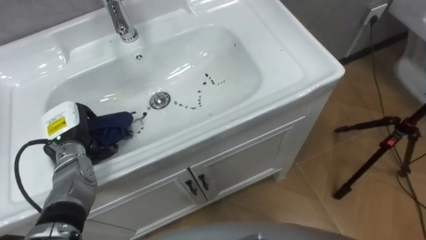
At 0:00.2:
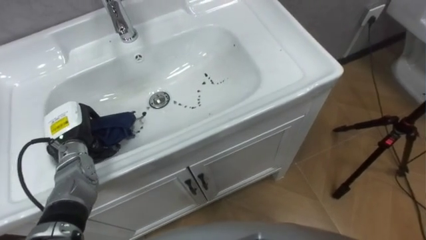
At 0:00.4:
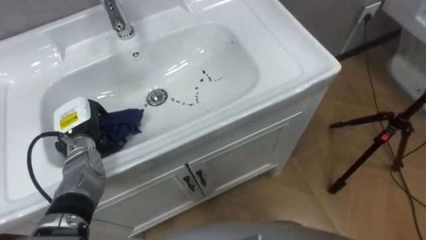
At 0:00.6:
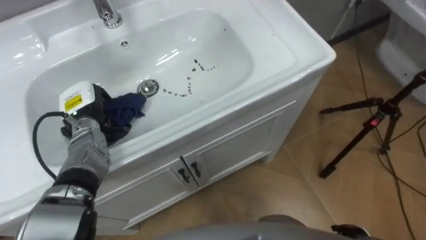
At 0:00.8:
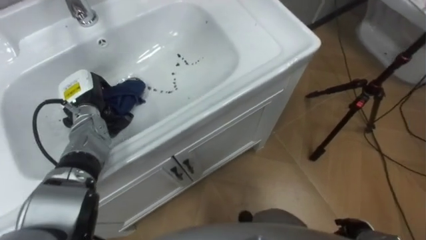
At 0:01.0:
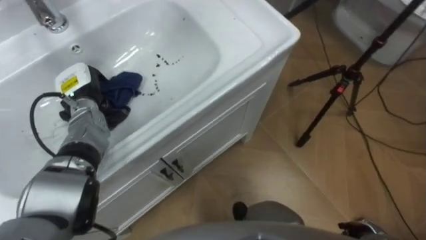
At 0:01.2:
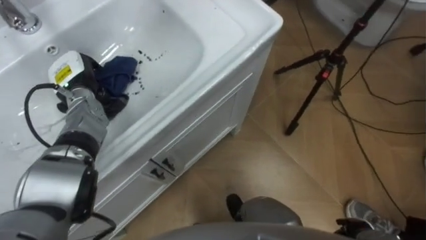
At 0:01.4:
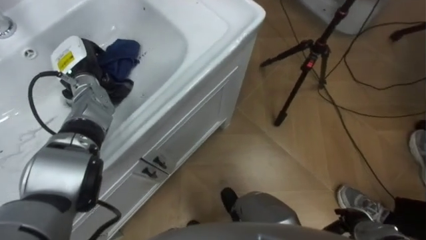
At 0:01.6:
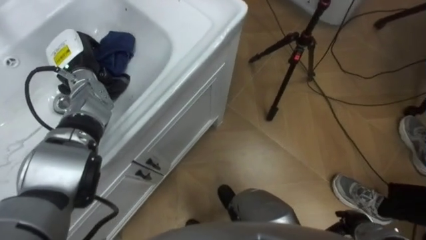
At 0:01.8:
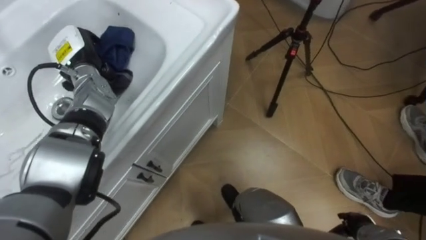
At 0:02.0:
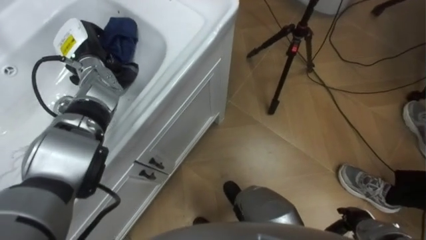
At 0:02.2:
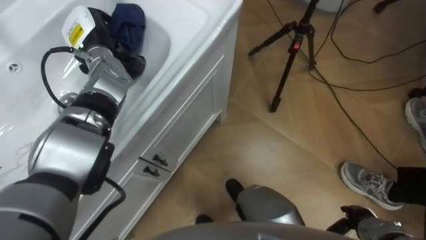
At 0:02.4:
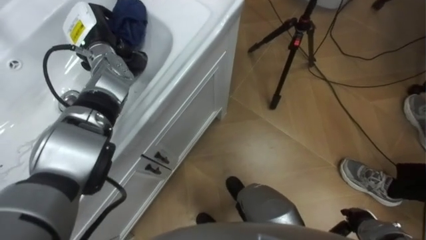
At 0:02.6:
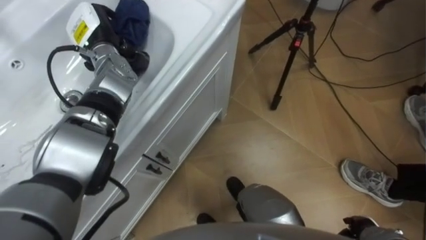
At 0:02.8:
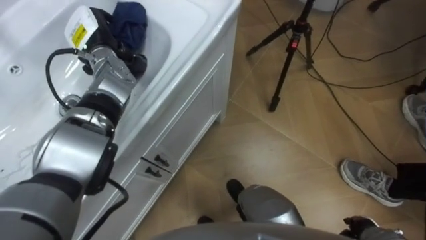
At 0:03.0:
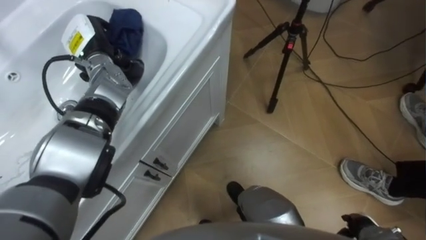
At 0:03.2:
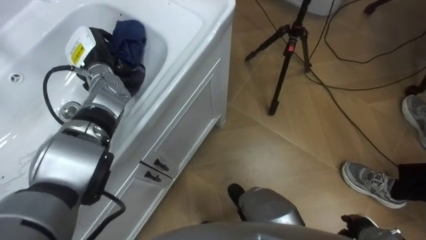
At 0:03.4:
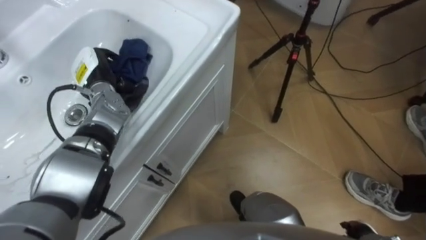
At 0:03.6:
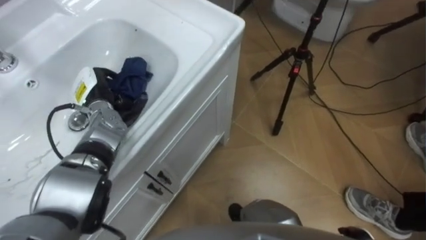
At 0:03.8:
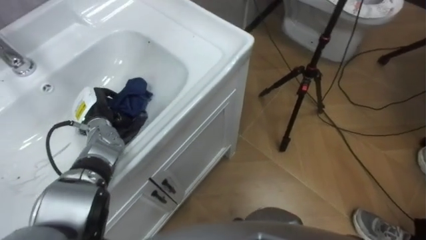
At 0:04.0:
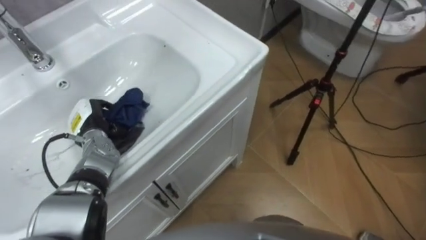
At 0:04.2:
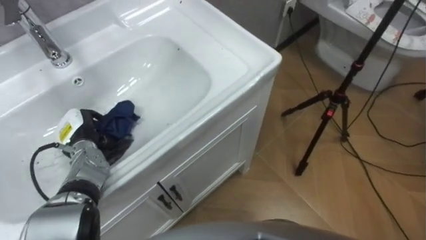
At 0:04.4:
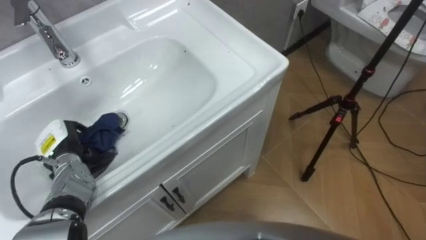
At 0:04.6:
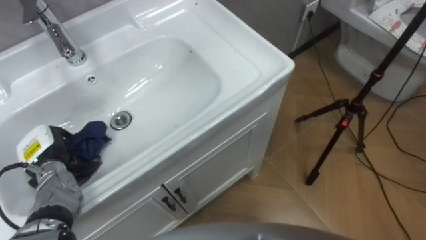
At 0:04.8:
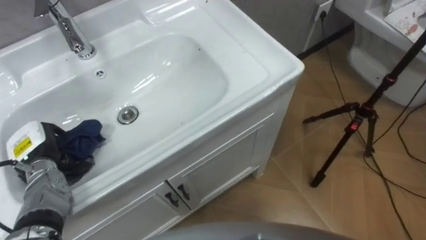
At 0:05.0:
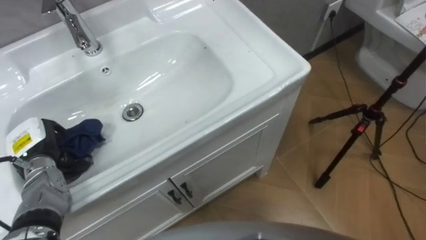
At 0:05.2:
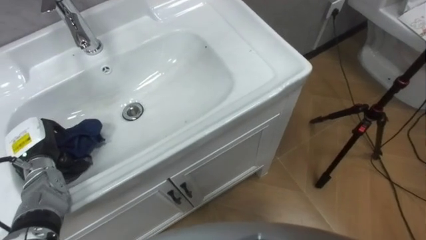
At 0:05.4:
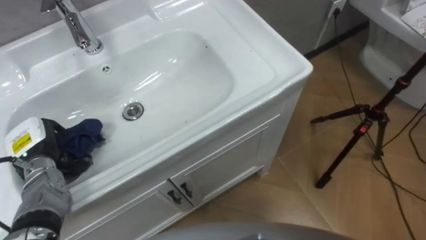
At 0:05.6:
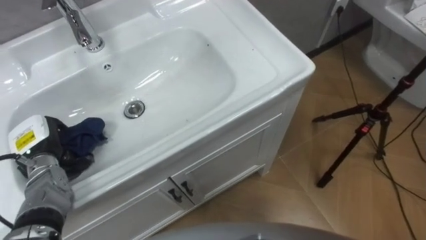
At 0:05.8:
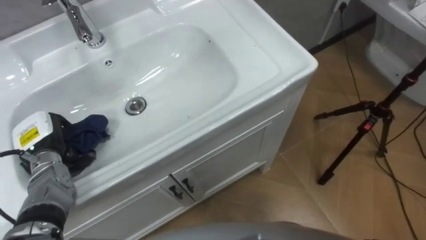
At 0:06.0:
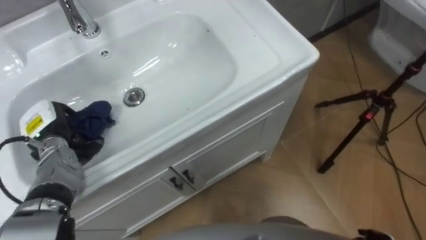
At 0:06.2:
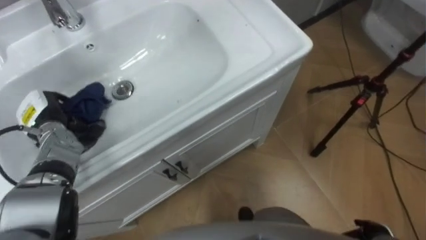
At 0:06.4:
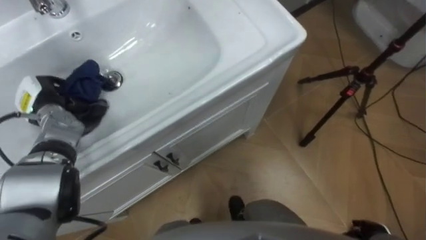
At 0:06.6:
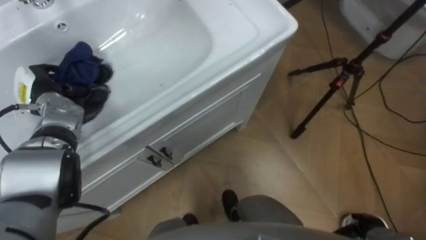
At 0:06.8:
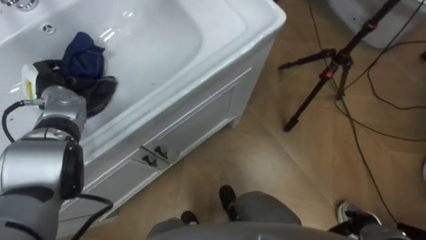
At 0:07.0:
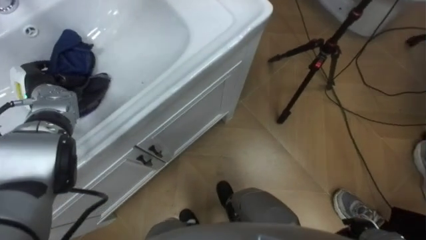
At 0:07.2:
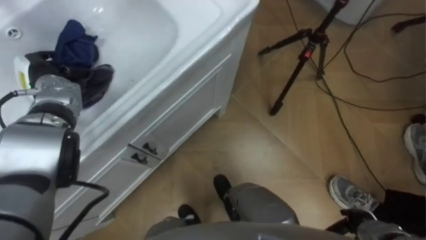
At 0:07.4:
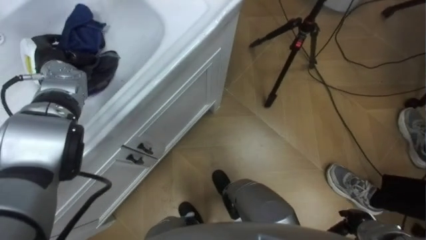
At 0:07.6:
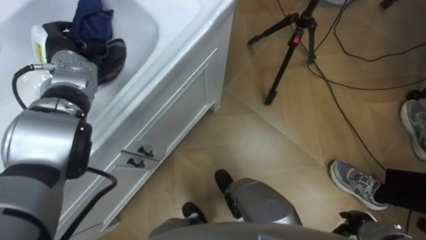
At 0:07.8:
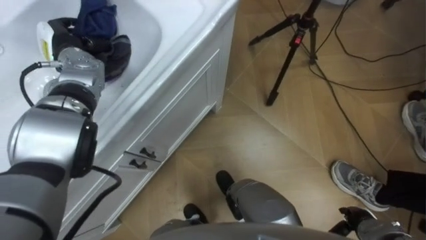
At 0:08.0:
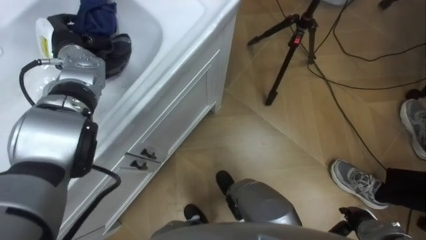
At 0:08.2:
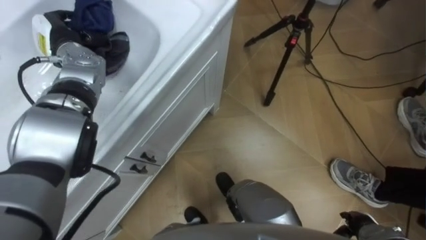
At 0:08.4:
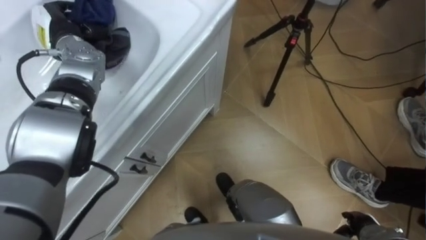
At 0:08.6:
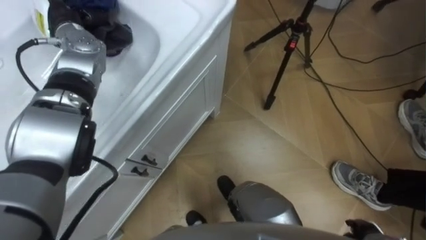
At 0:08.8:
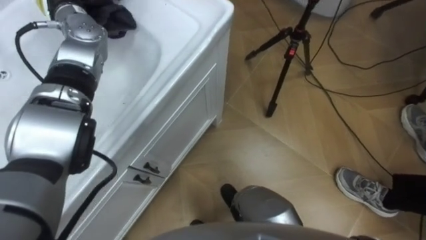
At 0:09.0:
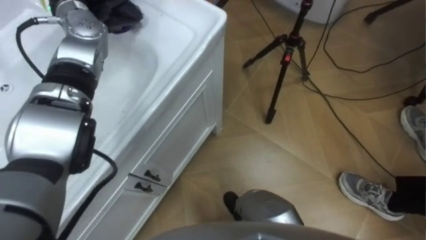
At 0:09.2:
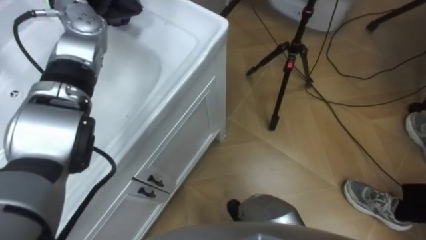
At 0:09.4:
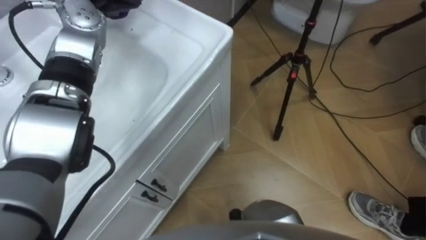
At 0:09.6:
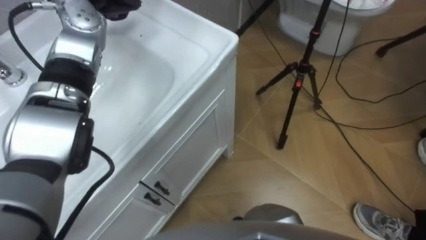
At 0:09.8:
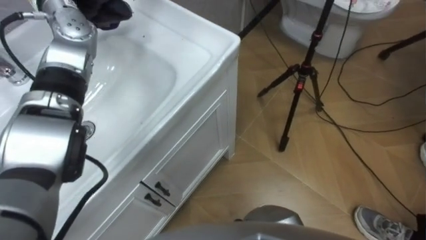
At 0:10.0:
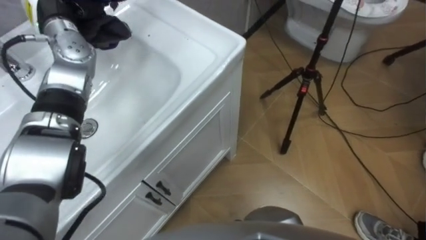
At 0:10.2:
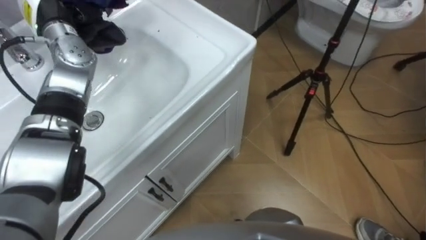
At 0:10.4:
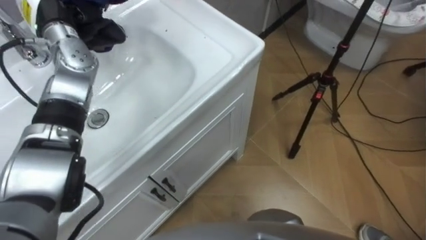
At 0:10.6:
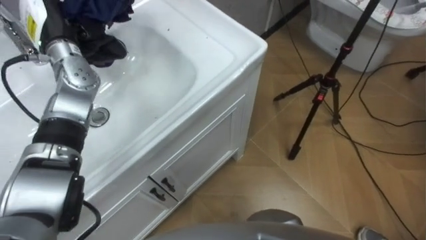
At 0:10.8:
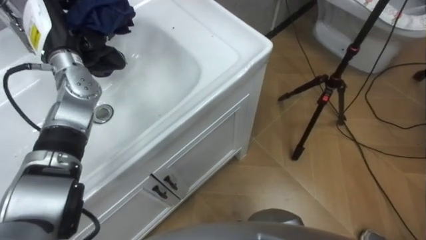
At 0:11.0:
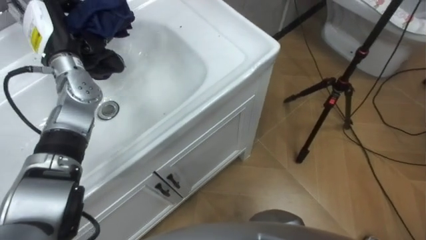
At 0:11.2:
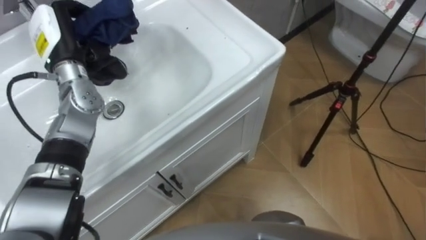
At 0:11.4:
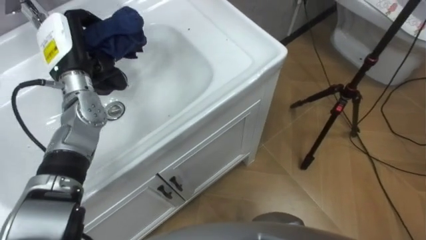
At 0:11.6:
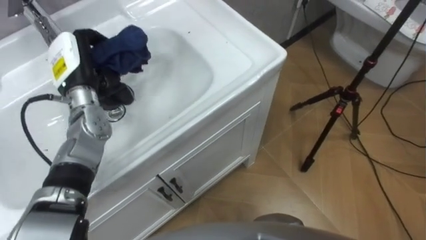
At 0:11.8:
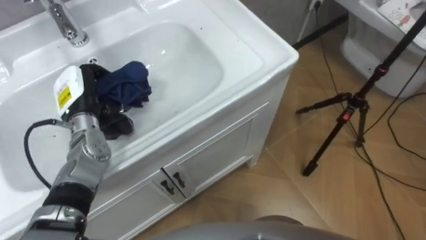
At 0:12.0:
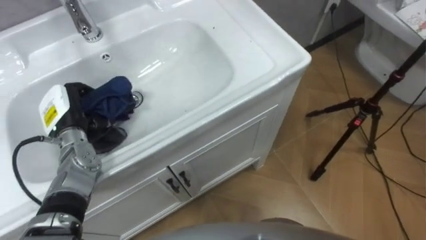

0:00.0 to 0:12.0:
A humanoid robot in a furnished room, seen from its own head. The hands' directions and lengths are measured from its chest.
Task of the whole recording: Use the cloth on the right to wipe away the black stain in the sink.
0:00.0 to 0:01.6: The left hand is displaced forward and upward by roughly 15 cm.
0:03.0 to 0:04.4: The left hand is displaced backward, downward and to the left by some 25 cm.
0:04.4 to 0:06.0: The left hand ends up roughly 5 cm from where it was.
0:06.0 to 0:07.6: The left hand shifts approximately 15 cm forward and upward.
0:10.4 to 0:12.0: The left hand heads downward and backward, covering about 20 cm.

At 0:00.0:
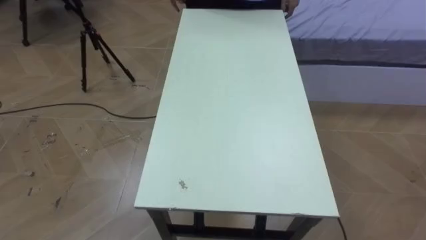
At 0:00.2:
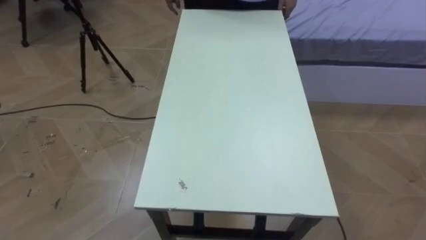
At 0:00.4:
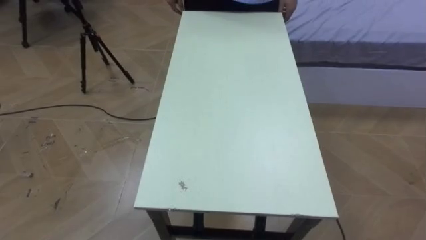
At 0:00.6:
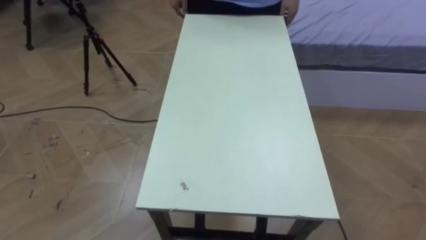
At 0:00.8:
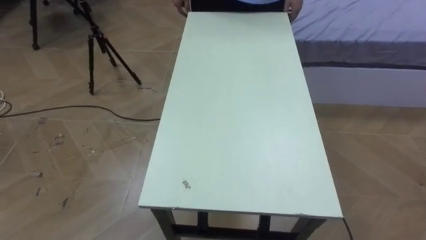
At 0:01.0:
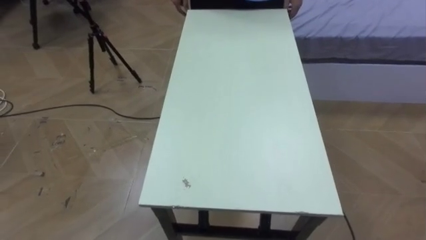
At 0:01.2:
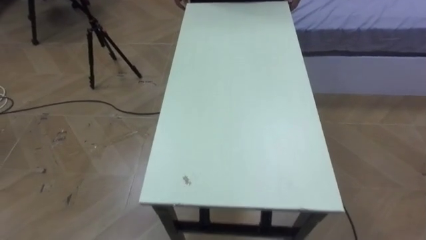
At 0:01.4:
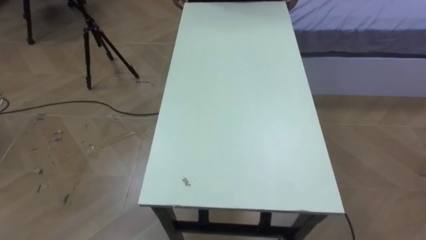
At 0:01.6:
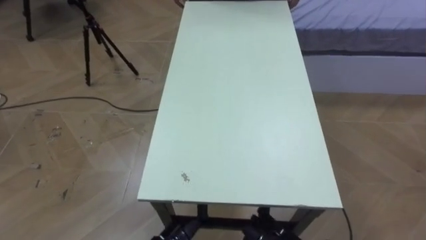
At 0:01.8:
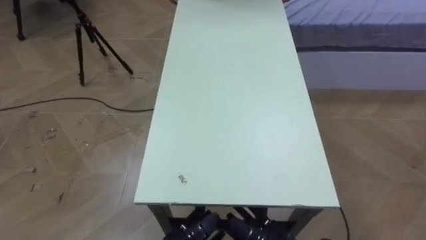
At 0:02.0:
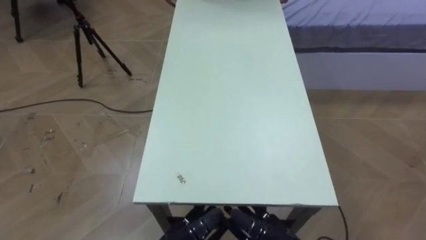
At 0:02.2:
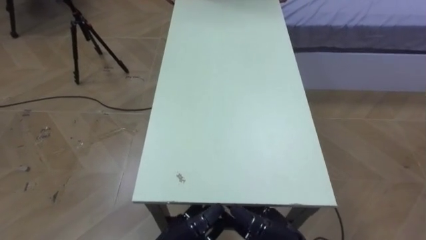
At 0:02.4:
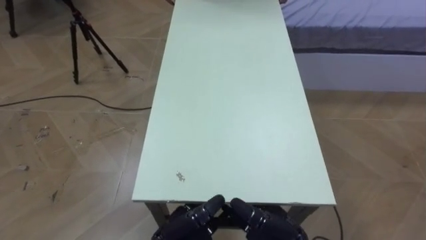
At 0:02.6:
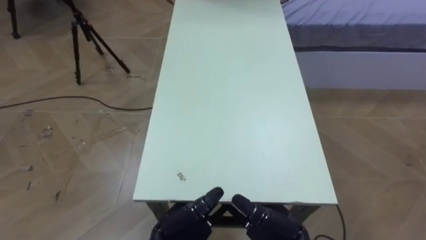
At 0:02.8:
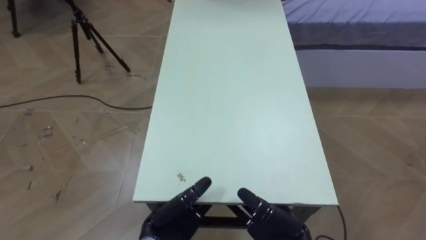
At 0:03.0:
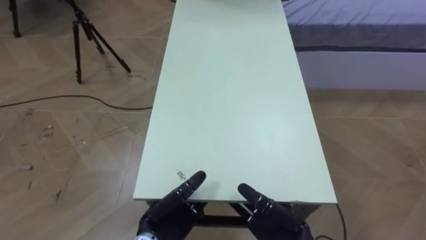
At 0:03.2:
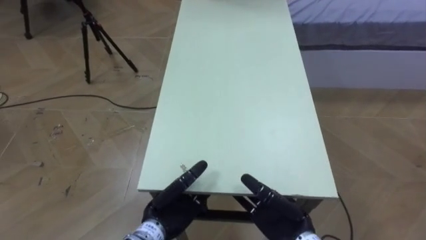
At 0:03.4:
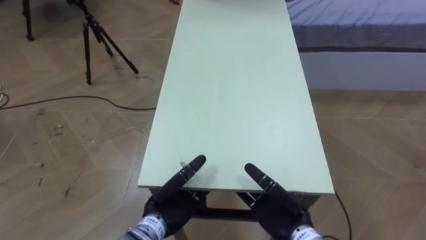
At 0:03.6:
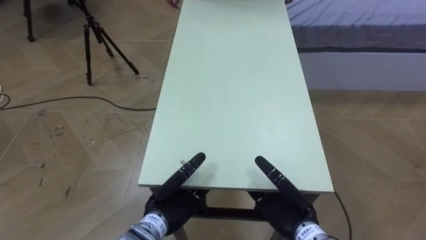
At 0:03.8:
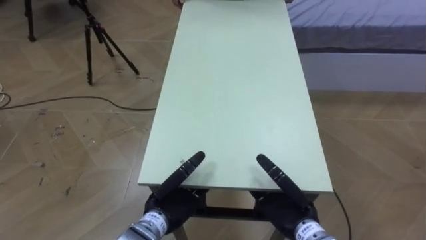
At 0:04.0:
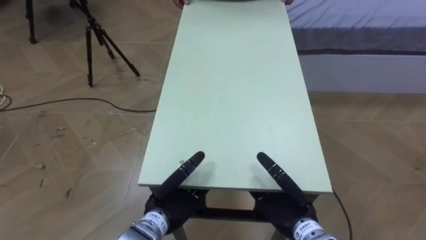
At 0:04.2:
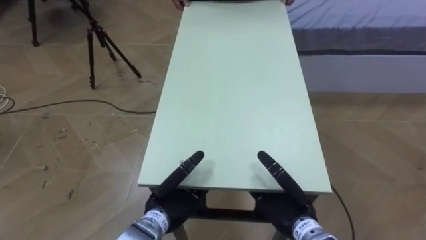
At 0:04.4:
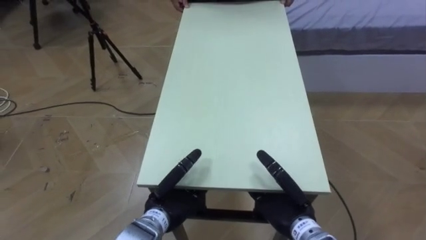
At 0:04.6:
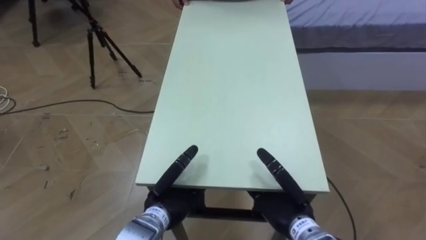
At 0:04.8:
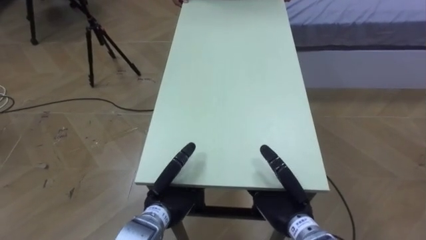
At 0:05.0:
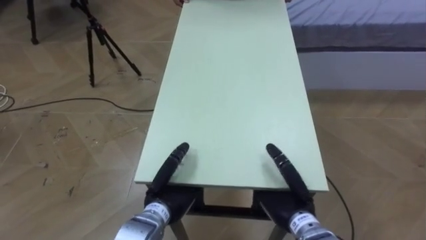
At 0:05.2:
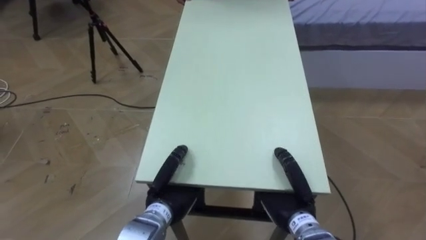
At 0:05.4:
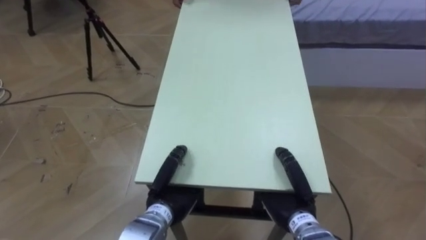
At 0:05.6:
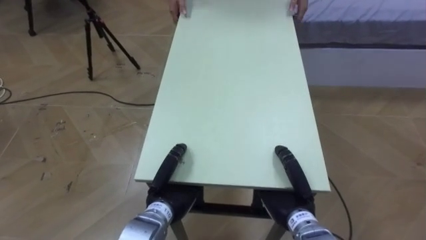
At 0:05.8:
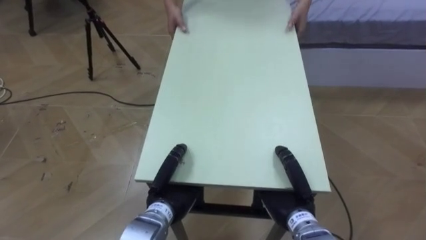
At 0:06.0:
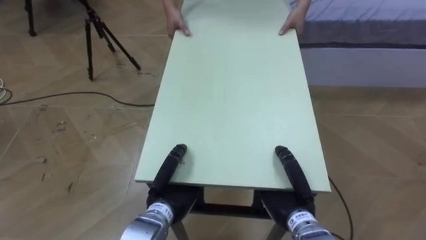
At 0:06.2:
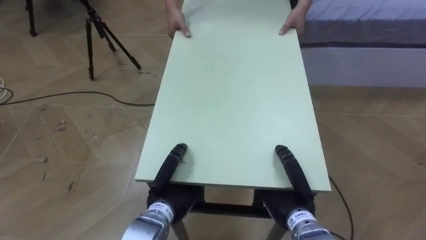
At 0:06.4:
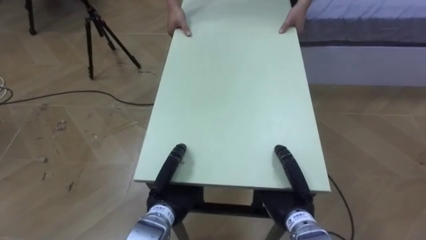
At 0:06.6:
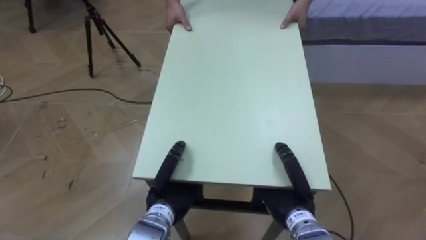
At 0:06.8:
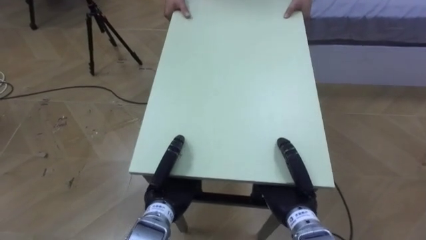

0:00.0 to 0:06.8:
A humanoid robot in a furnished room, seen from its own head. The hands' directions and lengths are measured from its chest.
Task of the whole recording: Move the table to the back left with someone.
0:04.0 to 0:05.4: The right hand closes its fingers; the left hand closes its fingers.
